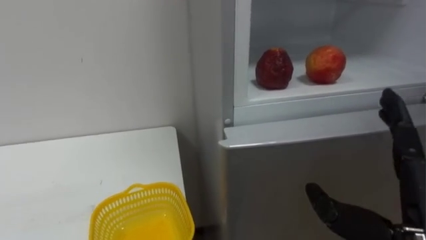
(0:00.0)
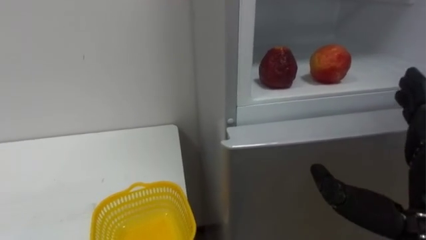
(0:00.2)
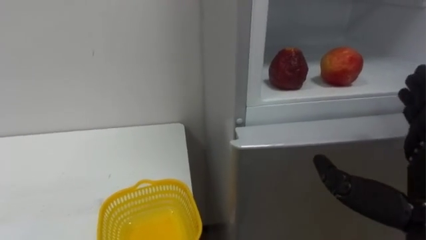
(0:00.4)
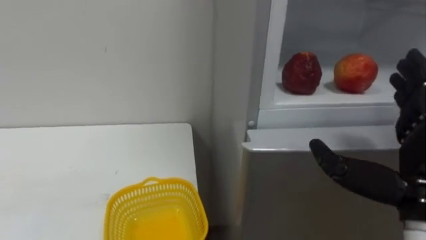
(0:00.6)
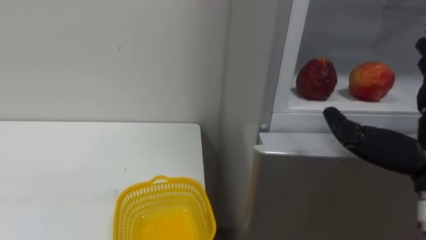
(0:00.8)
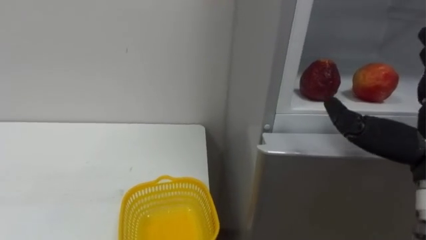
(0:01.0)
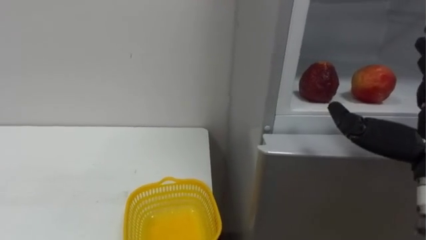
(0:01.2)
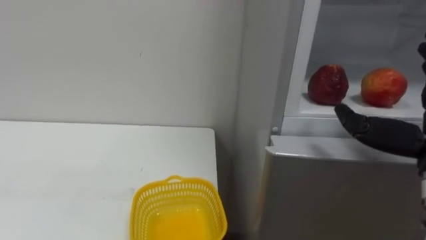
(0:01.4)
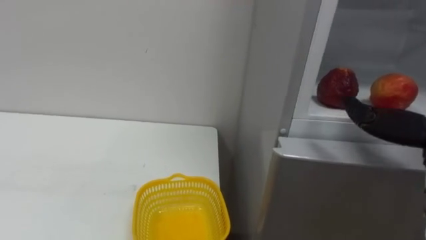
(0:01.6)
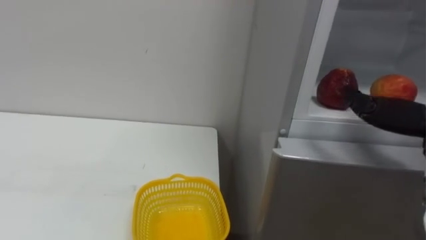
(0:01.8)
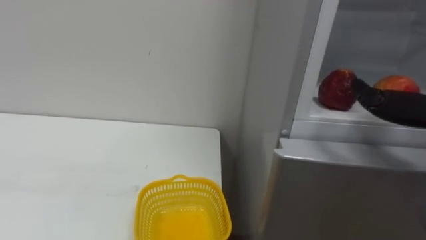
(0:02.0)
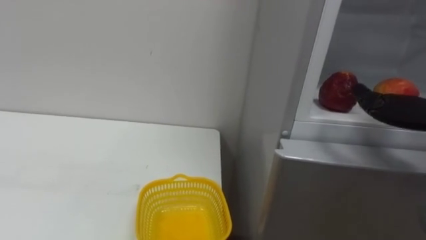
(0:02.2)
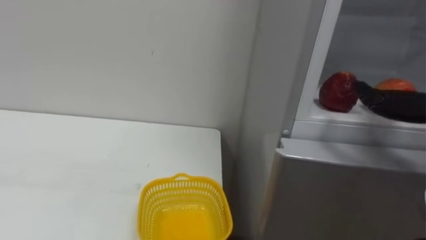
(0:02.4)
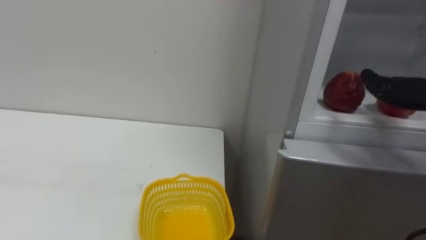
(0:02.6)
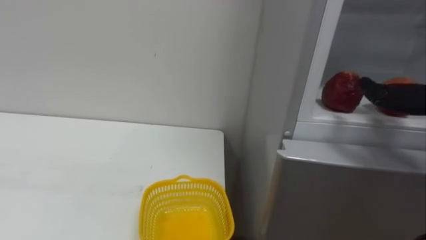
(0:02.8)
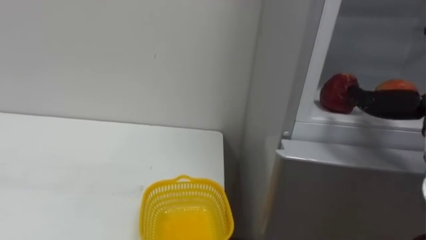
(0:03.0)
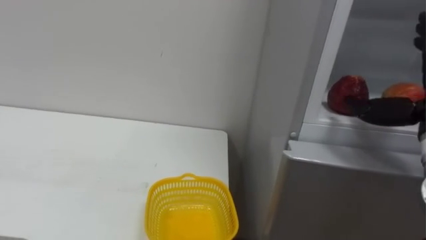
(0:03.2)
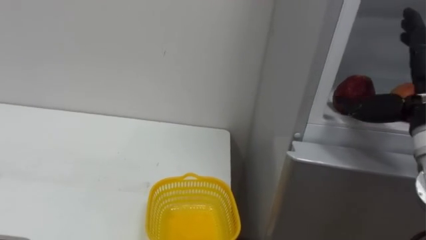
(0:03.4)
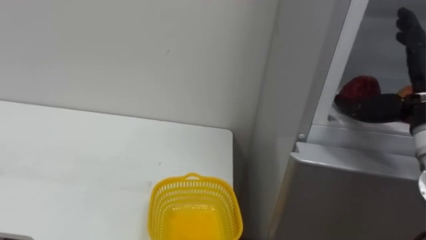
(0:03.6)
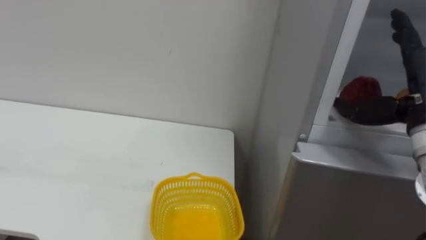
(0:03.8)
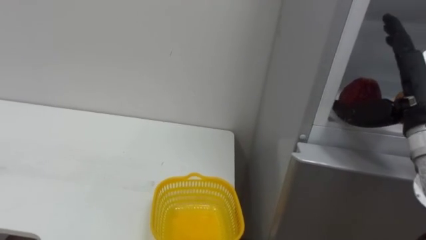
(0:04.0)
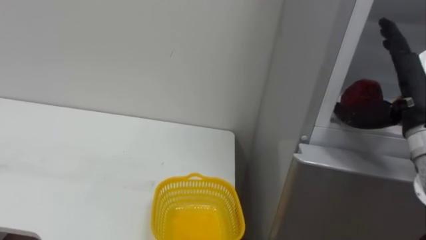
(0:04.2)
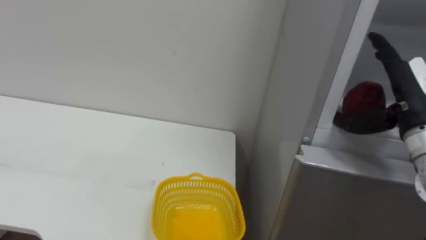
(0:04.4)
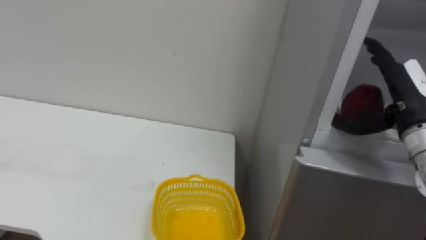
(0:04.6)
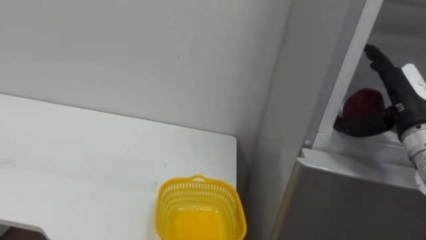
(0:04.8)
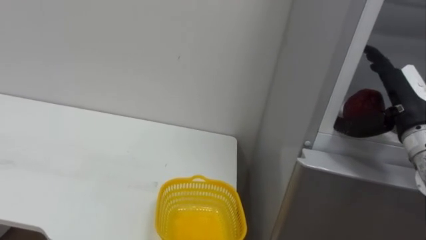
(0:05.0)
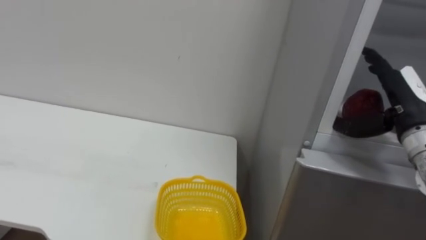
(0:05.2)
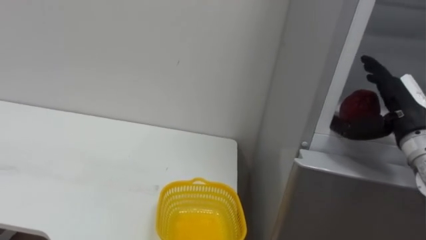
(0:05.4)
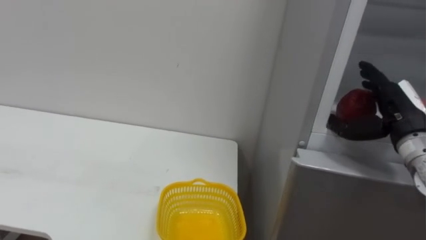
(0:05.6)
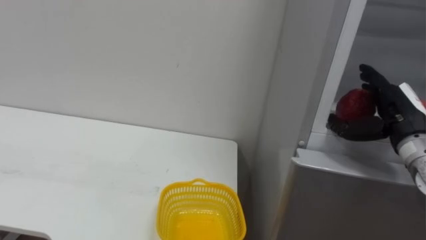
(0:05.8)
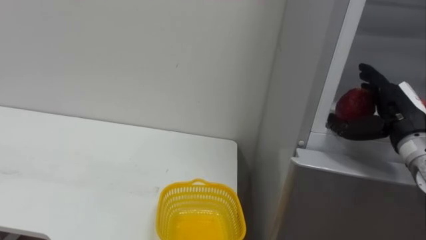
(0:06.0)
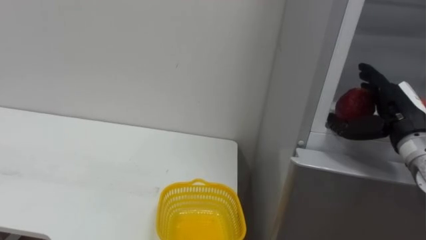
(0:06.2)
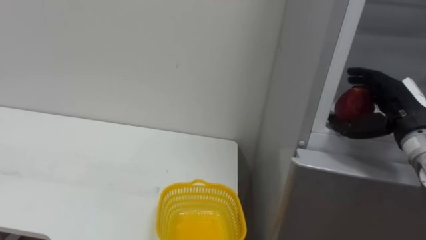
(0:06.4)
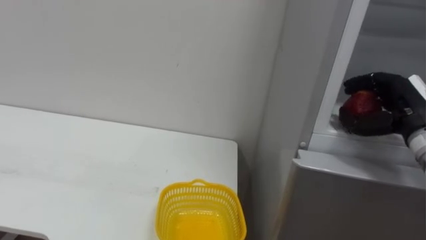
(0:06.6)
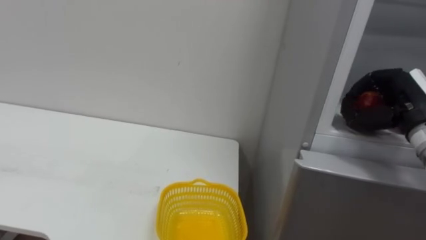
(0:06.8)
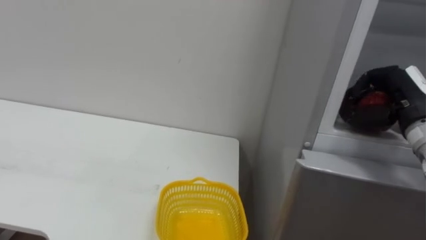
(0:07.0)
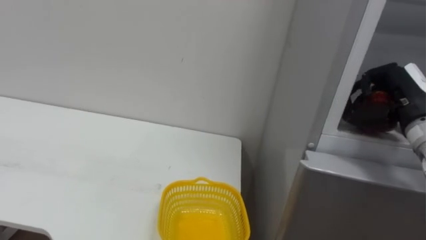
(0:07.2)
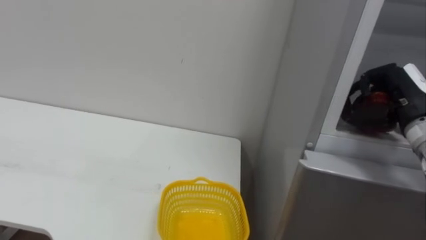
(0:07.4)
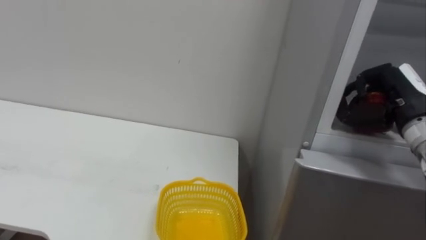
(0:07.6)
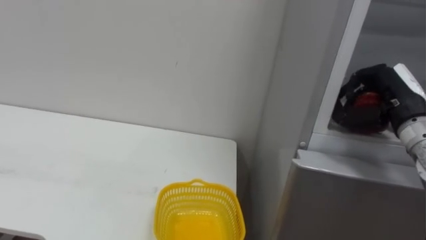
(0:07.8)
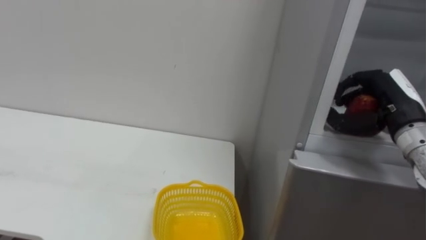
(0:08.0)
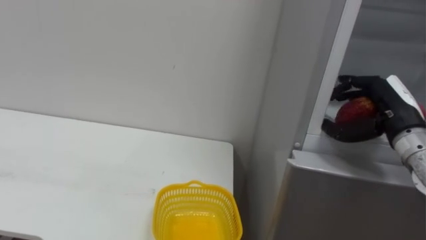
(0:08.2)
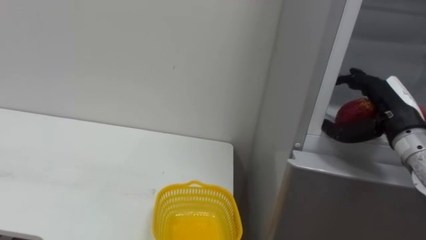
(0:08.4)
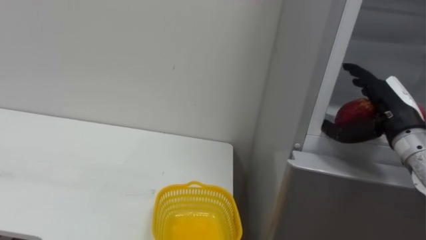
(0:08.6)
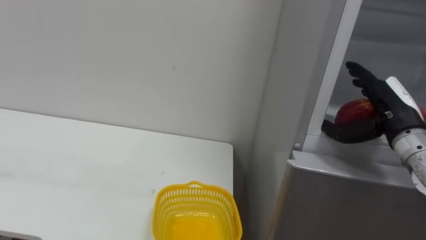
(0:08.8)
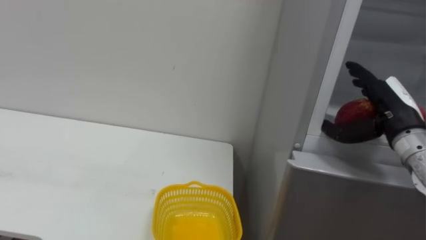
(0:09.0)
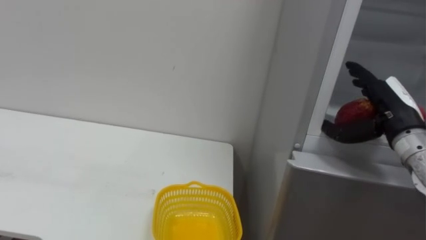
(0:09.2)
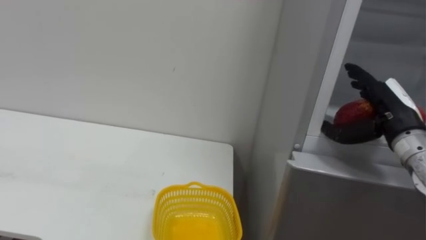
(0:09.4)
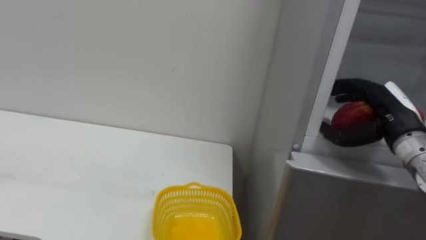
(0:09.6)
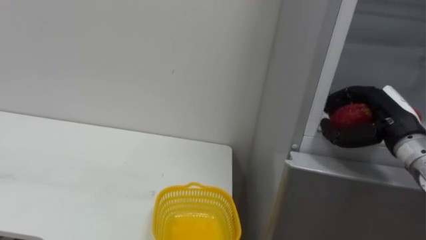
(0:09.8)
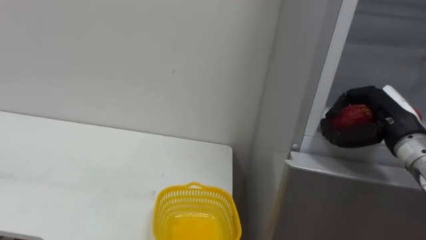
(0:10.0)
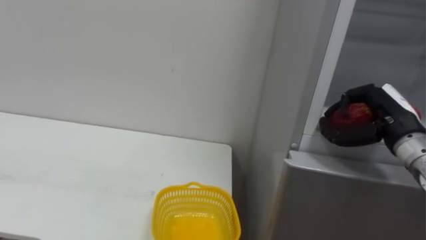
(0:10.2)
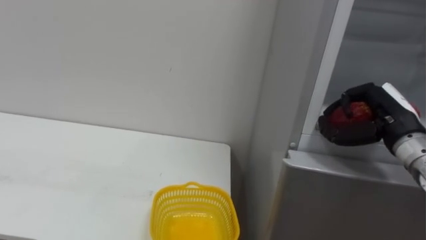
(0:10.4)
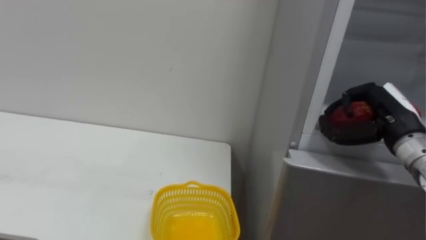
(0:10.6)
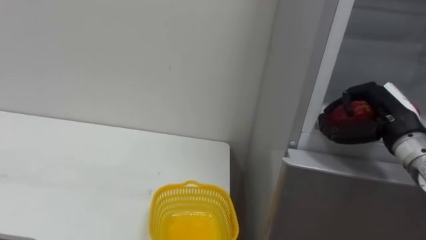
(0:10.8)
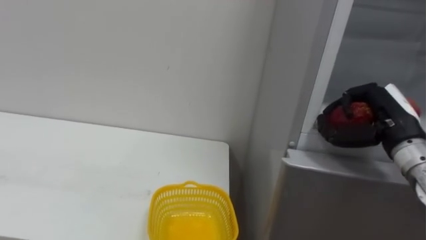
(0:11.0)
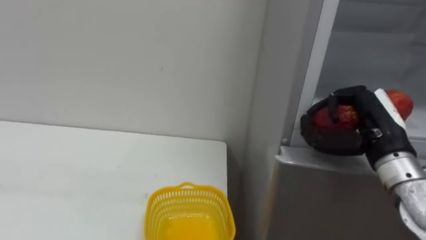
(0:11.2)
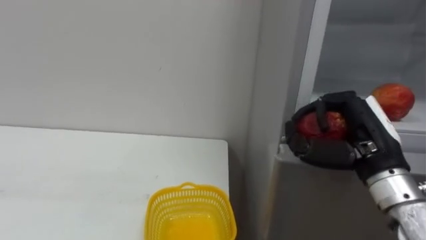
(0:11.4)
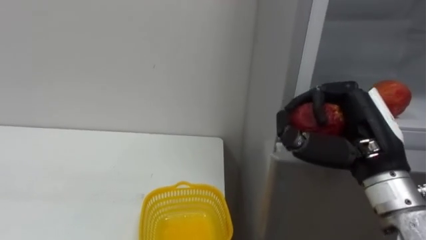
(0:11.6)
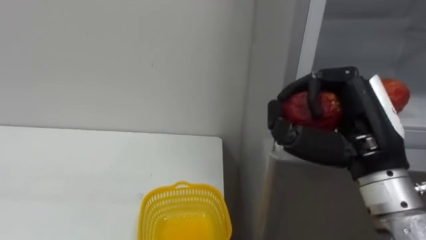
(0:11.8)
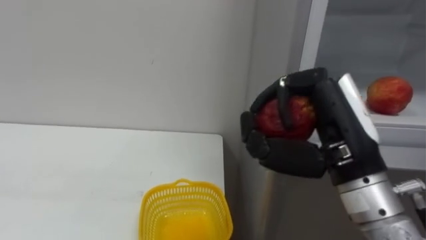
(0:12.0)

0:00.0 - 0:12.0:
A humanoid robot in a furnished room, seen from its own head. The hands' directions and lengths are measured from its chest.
Task of the whole recording: Open the refrigerator door, take out the apple and the pomegranate, place them in the fruit basket on the left, and close the refrigerator door.
0:04.4 - 0:06.0: The right hand moves some 5 cm.
0:06.0 - 0:07.6: The right hand closes its fingers.
0:07.6 - 0:09.0: The right hand opens.
0:09.0 - 0:10.4: The right hand closes.
0:10.4 - 0:12.0: The right hand goes approximately 20 cm to the left, backward and upward.

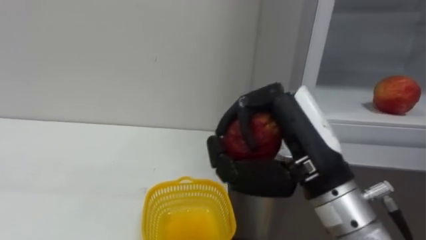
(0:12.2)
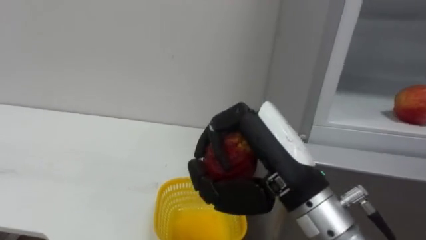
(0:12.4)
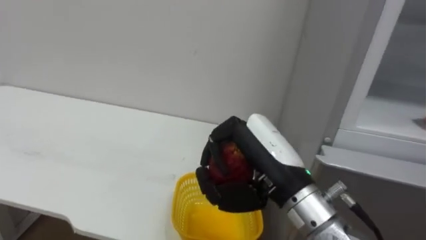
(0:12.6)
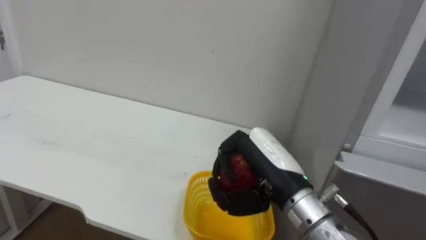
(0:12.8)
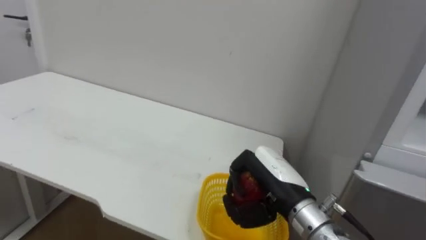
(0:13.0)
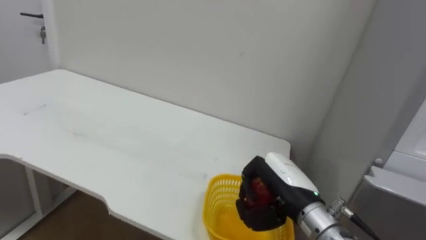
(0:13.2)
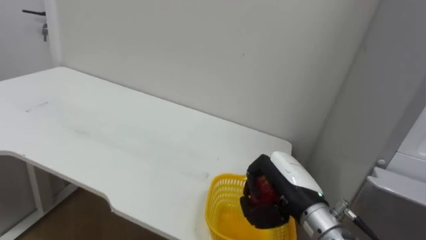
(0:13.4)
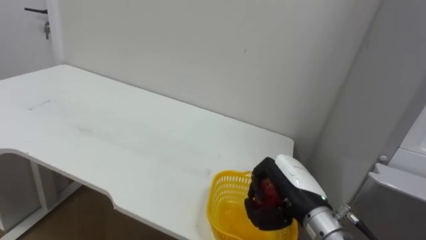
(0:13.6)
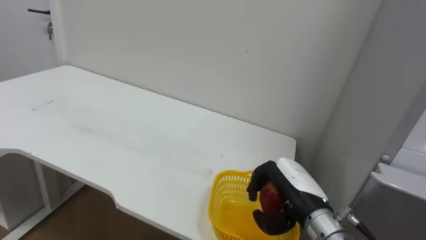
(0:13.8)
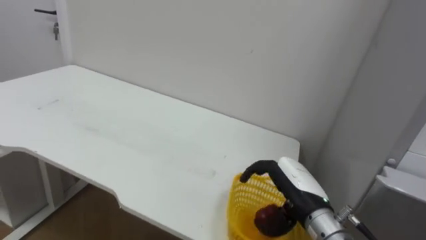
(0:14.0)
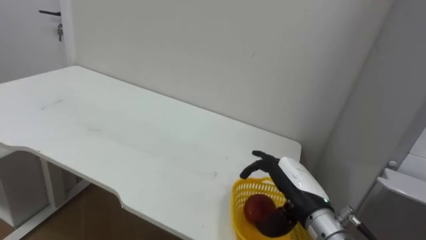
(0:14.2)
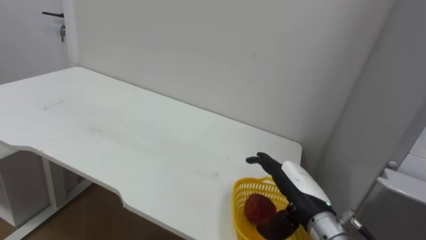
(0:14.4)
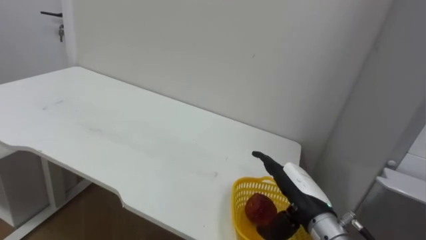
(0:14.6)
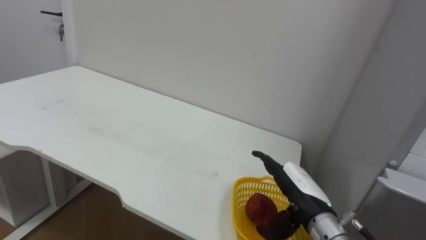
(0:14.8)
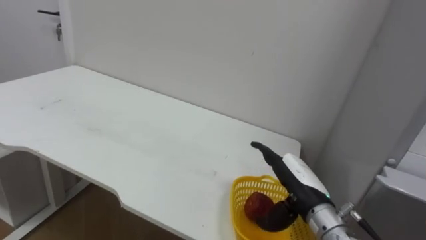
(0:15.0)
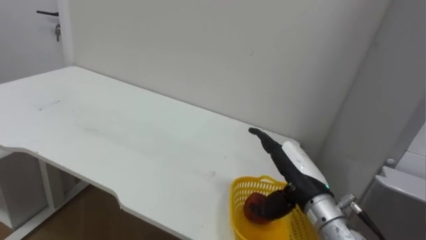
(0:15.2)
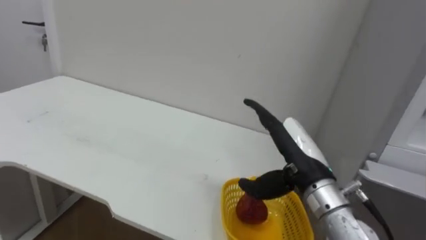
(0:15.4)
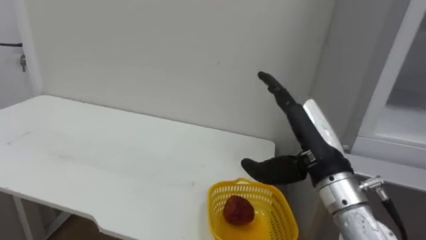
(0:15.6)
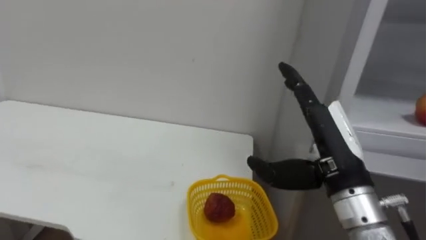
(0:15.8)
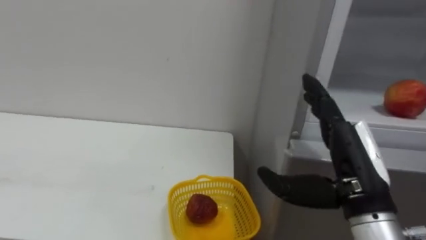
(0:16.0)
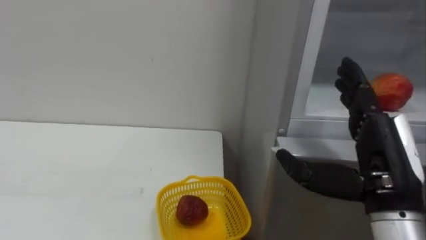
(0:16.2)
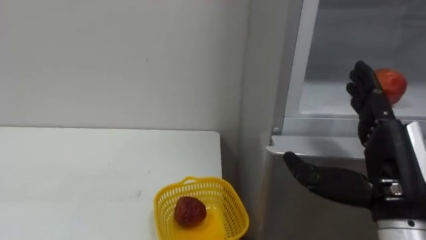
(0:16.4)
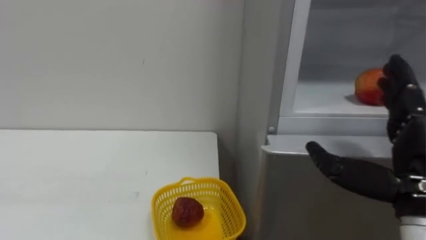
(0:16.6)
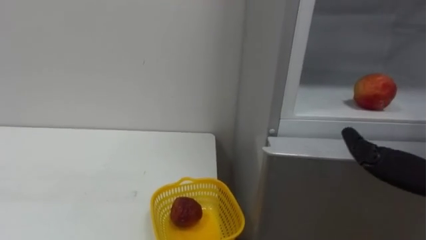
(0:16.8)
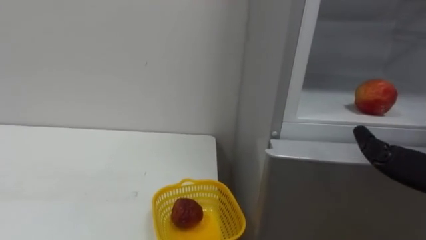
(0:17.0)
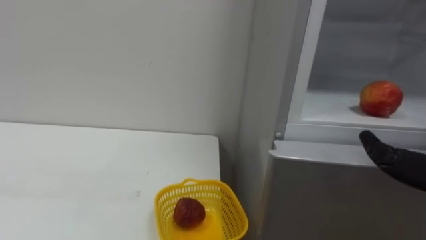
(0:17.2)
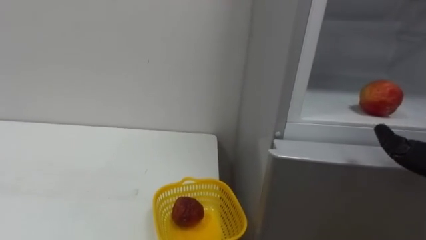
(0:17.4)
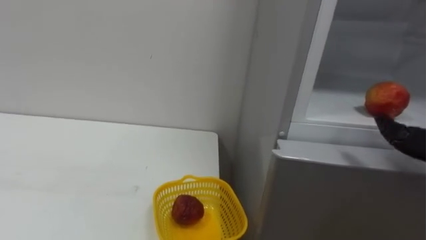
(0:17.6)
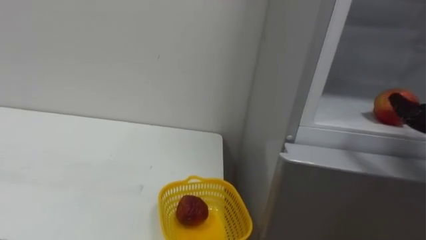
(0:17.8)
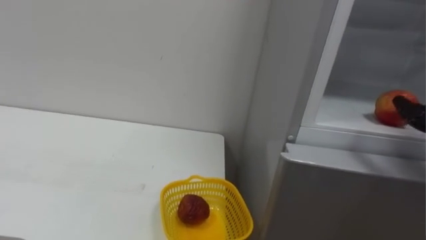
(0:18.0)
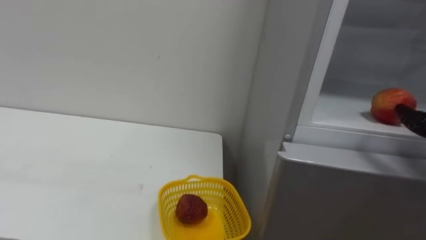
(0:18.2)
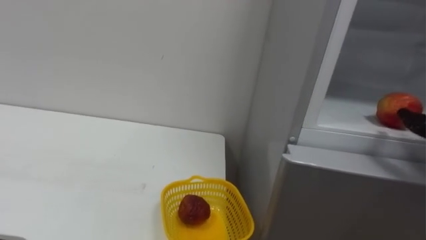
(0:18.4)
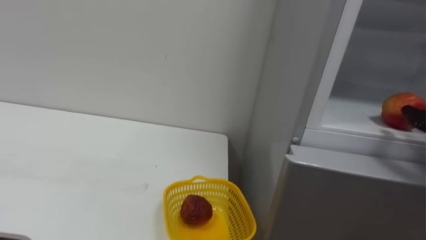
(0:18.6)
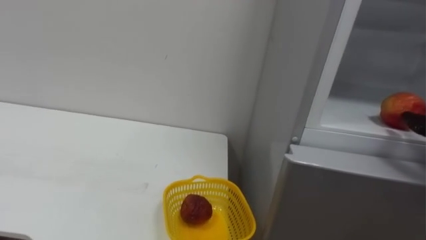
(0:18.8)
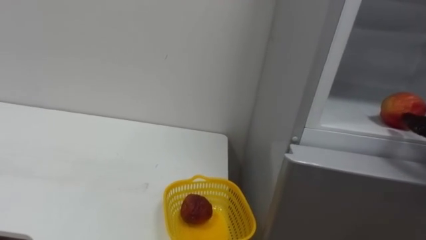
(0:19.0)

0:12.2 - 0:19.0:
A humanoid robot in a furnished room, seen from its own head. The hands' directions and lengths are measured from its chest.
Task of the whole recording: Open the refrigerator door, take out the apple and the pomegranate, place them in the fruit basket on the left, and close the refrigerator door.
0:12.2 - 0:13.6: The right hand heads downward and forward, covering approximately 15 cm.
0:13.6 - 0:15.0: The right hand opens up.
0:15.0 - 0:16.2: The right hand heads upward, backward and to the right, covering about 15 cm.
